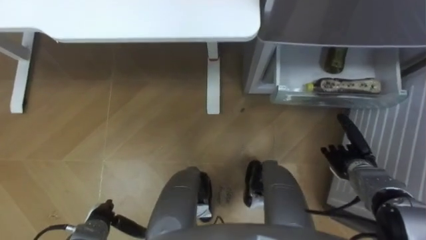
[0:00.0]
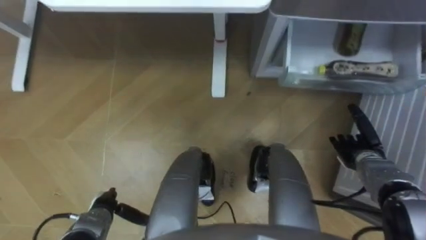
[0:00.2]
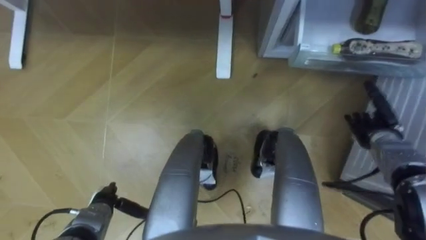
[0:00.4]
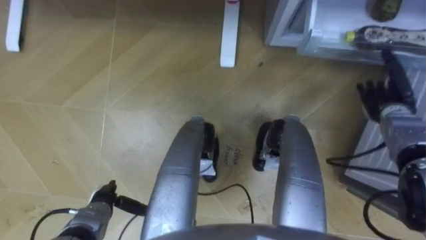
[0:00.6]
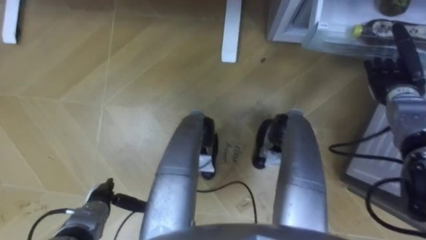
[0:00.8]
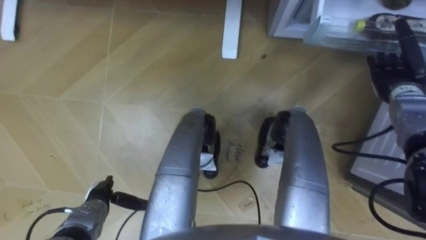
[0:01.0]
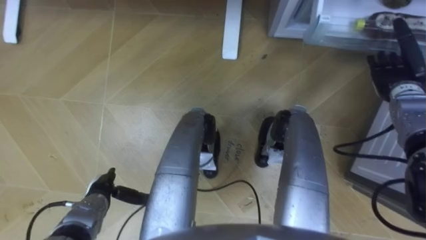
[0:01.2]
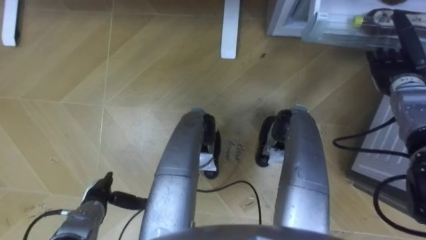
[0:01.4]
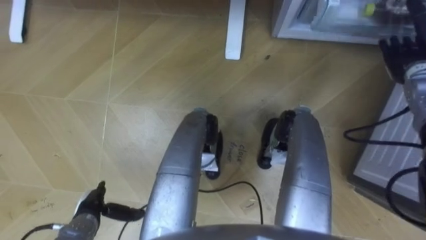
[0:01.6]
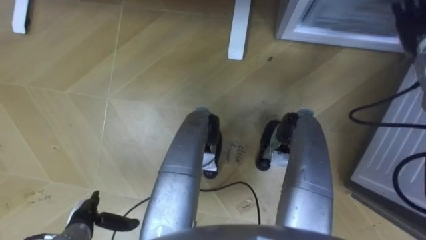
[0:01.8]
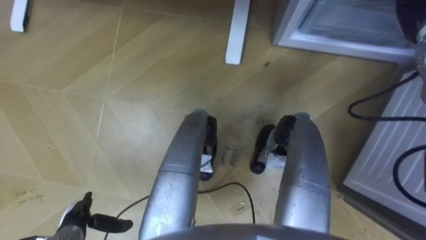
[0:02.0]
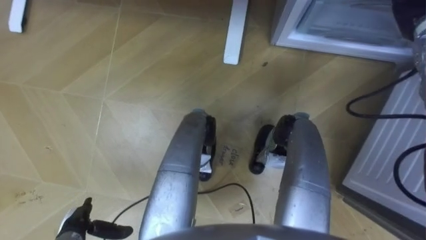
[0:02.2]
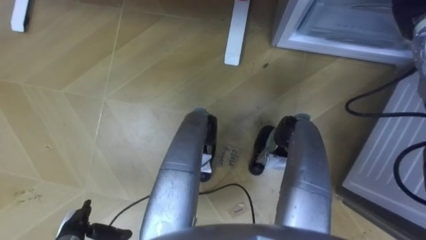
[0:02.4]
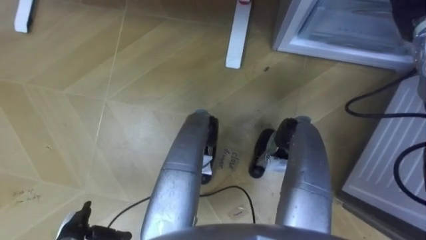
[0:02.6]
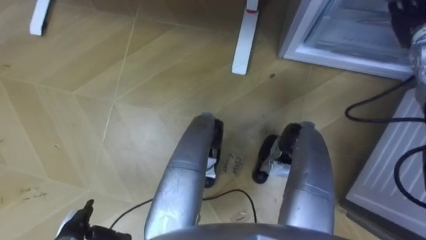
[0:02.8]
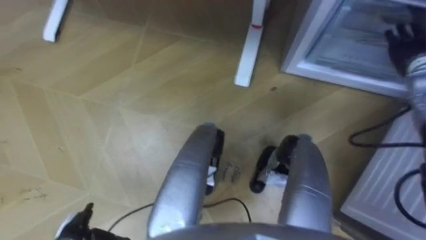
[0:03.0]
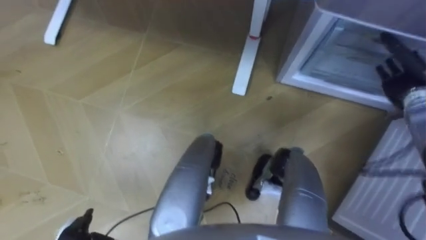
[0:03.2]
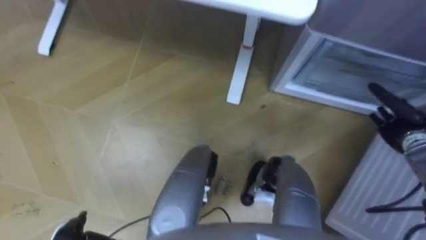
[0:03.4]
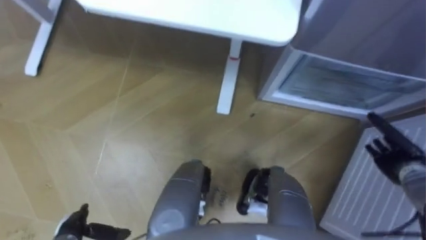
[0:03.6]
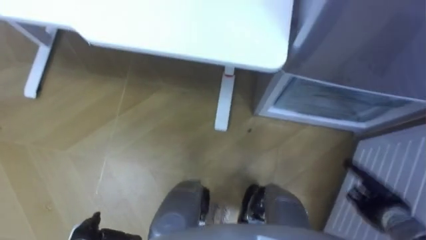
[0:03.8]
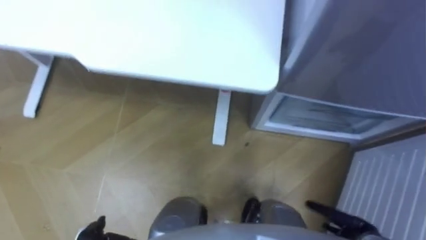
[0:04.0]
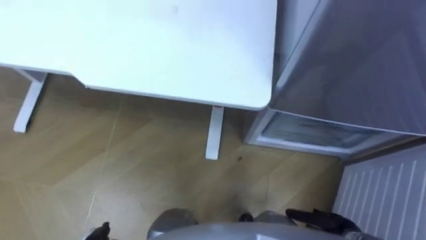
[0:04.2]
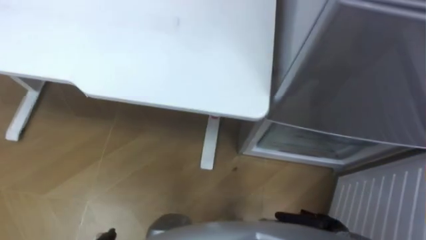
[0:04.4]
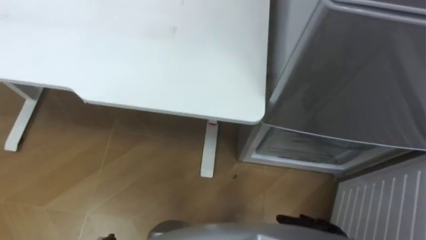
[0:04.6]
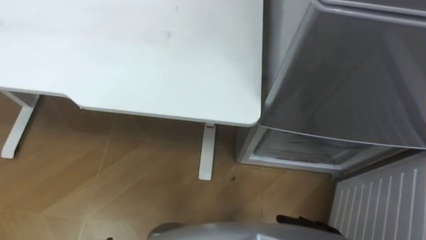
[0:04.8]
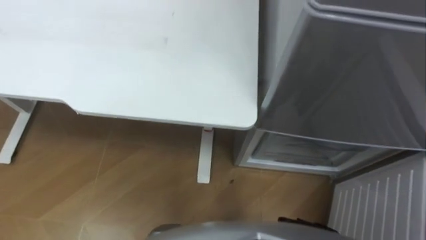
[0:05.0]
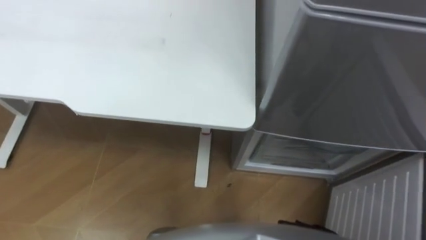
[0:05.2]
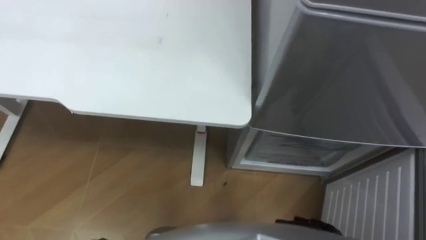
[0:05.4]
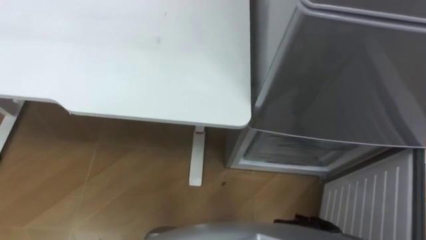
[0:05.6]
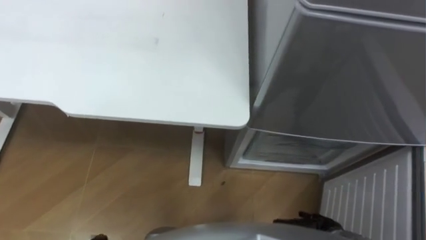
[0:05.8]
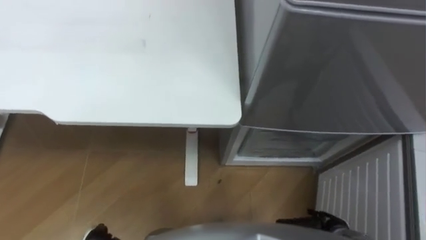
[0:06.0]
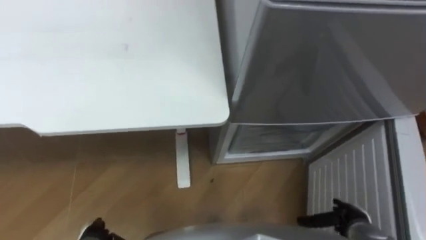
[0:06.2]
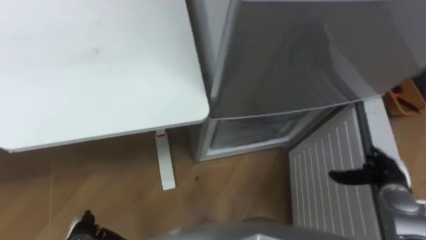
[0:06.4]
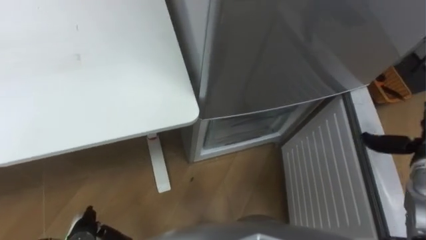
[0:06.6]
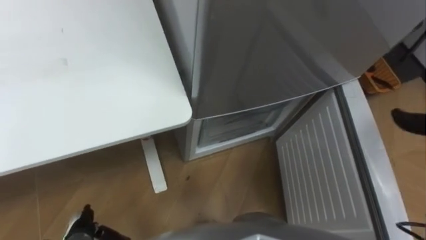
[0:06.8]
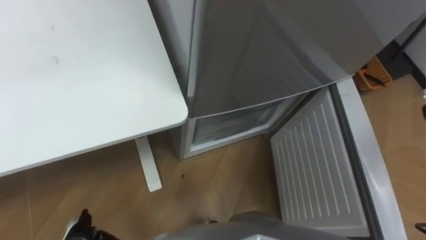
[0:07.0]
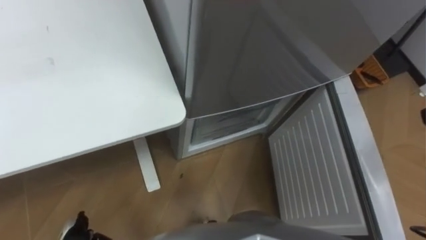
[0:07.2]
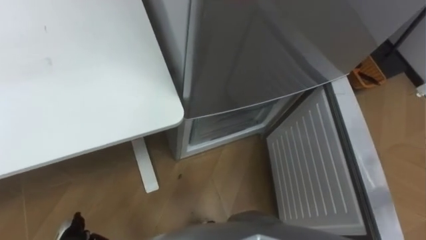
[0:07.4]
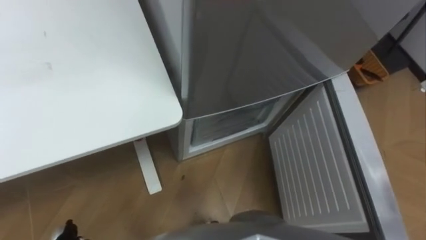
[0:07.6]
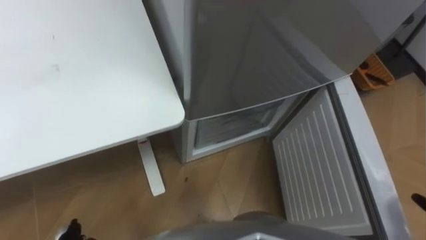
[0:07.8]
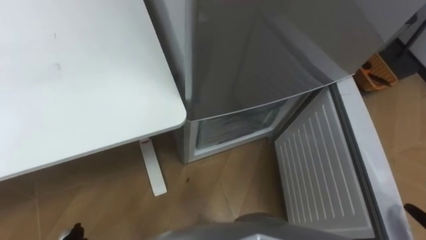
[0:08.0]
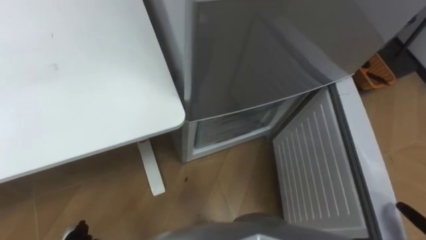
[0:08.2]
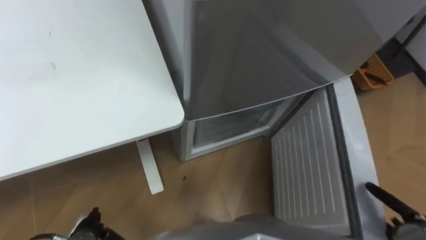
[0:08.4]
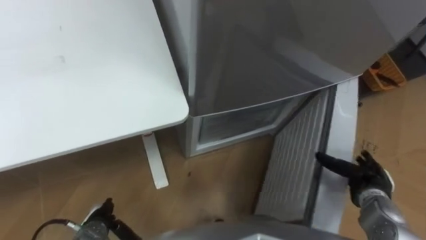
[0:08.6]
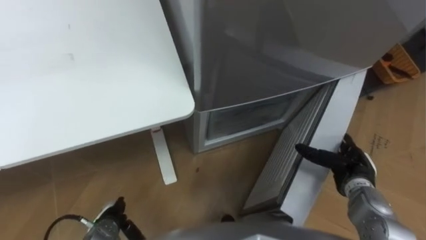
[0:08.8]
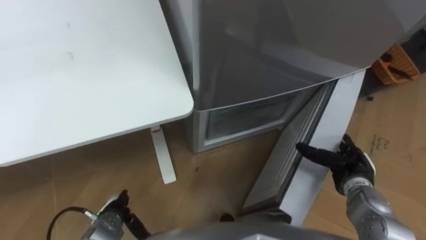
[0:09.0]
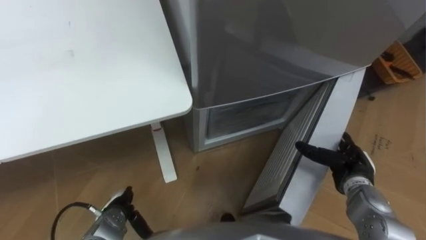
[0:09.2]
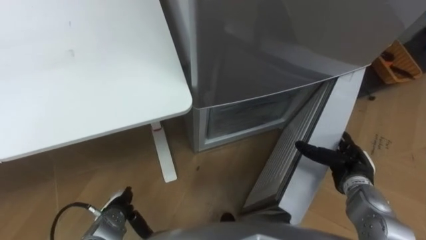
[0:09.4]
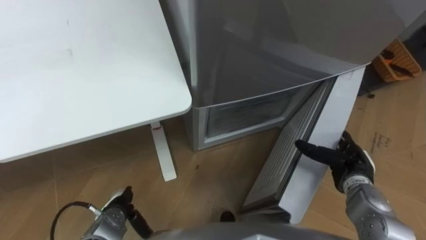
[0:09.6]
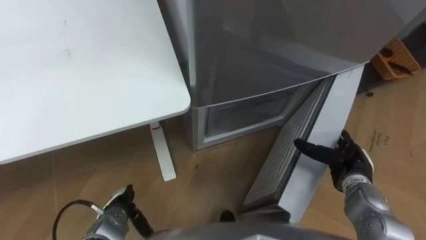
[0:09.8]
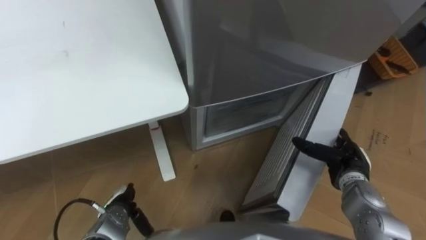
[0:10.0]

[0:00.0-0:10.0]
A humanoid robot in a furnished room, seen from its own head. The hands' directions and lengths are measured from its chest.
Task of the whole recording: Place the drink on the table on the bottom shelf of the refrigerator, then close the drawer and the refrigerator door.
0.0 to 1.4 s: The right hand is displaced upward and forward by approximately 20 cm; the left hand travels forward by approximately 5 cm.
1.4 to 2.8 s: The right hand is displaced upward by roughly 10 cm. Meanwhile the left hand shifts approximately 10 cm backward.
2.8 to 4.2 s: The right hand is displaced backward and downward by roughly 40 cm.
8.6 to 10.0 s: The right hand shifts about 5 cm to the left; the left hand ends up approximately 5 cm from where it was.

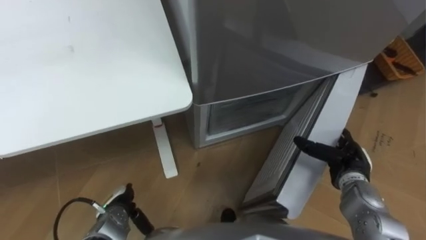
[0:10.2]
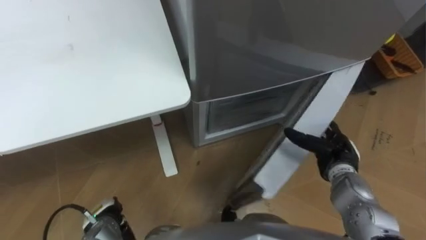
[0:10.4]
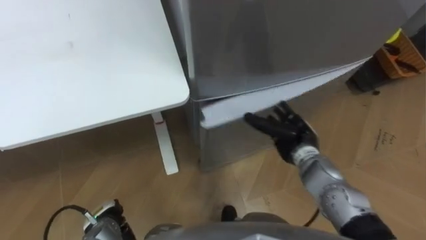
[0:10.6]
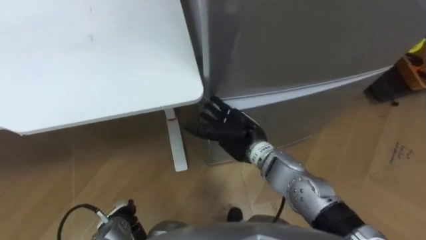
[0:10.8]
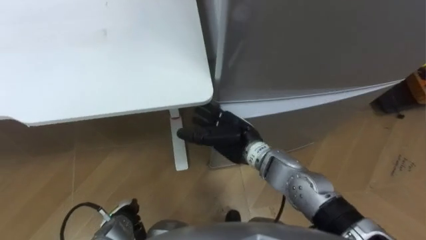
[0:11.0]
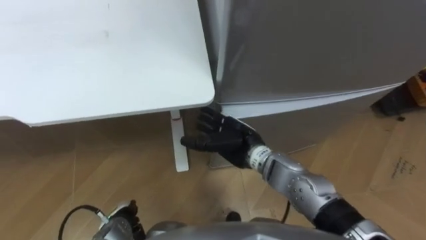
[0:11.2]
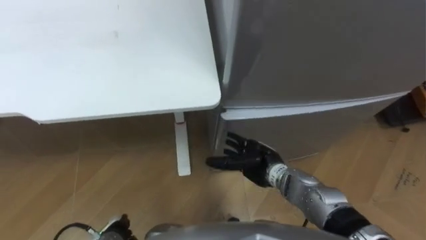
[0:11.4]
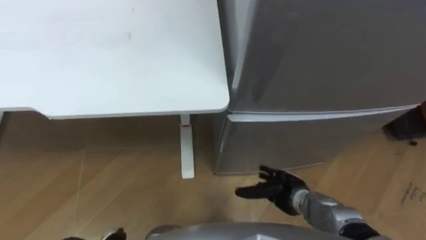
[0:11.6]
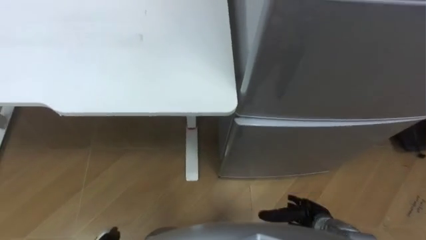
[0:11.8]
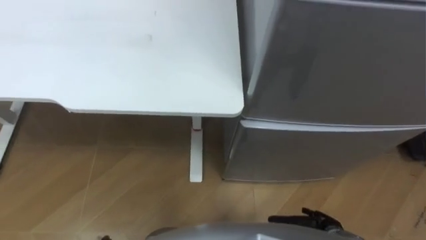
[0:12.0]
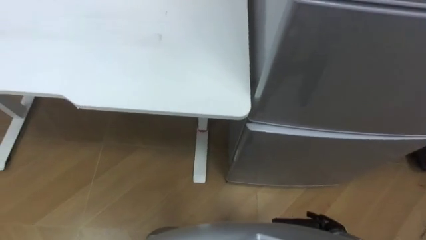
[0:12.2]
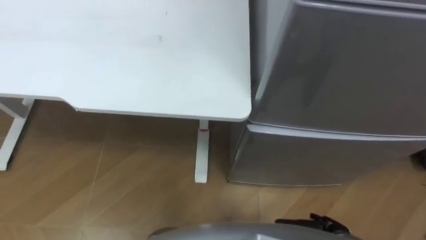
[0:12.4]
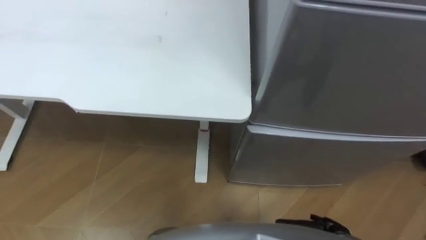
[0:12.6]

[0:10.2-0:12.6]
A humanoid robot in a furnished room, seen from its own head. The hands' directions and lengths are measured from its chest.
Task of the whole recording: Place the drink on the table on the bottom shelf of the refrigerator, then close the drawer and the refrigerator door.
10.2 to 11.4 s: The right hand goes approximately 20 cm to the left. The left hand travels backward by approximately 5 cm.
11.4 to 12.6 s: The right hand travels to the right, backward and downward by some 25 cm.

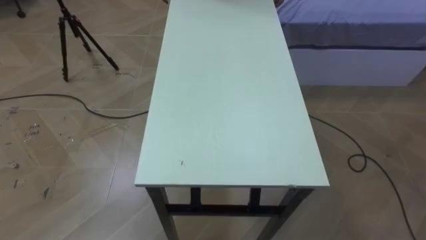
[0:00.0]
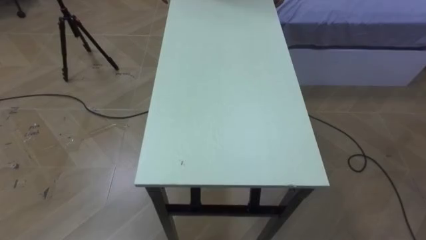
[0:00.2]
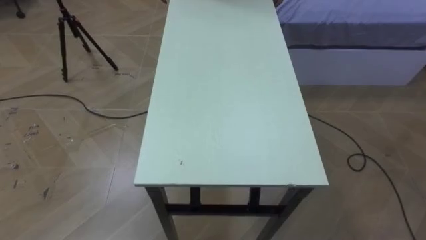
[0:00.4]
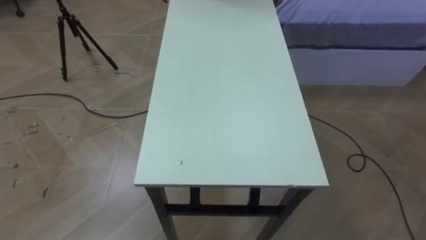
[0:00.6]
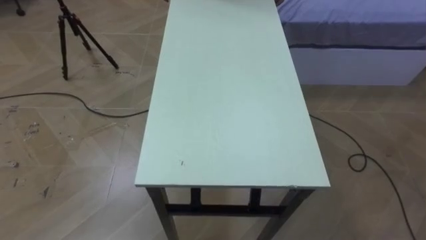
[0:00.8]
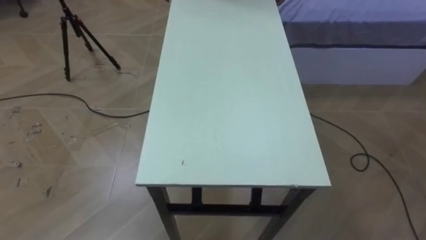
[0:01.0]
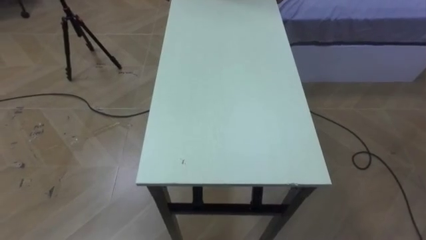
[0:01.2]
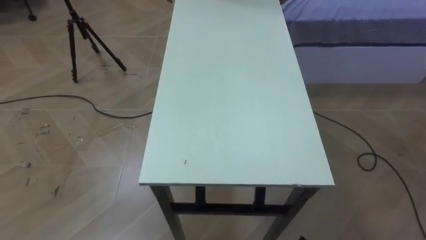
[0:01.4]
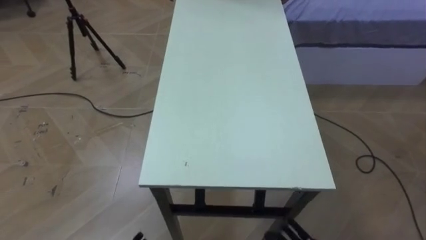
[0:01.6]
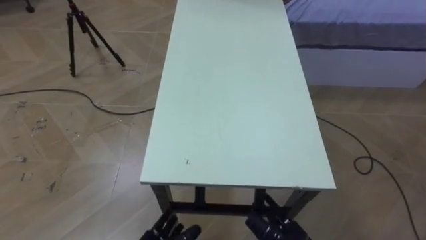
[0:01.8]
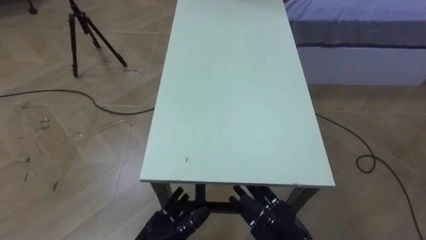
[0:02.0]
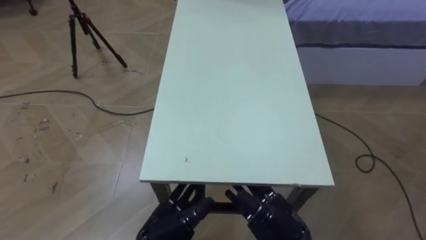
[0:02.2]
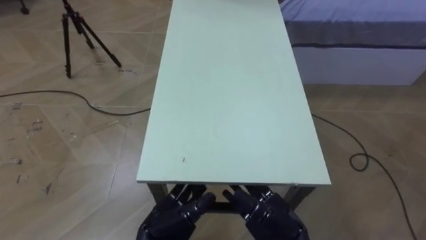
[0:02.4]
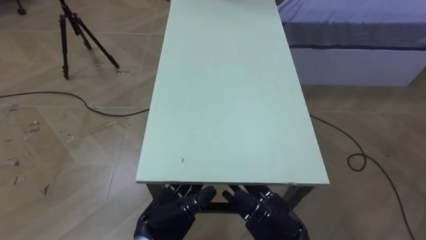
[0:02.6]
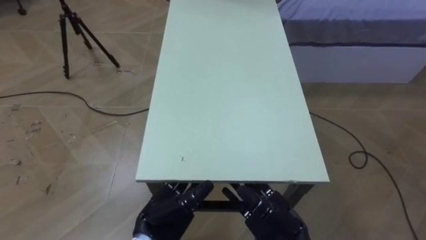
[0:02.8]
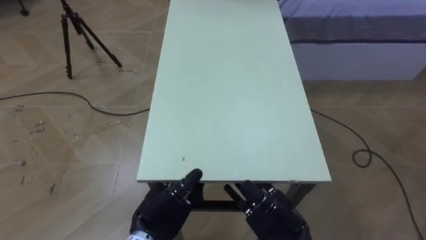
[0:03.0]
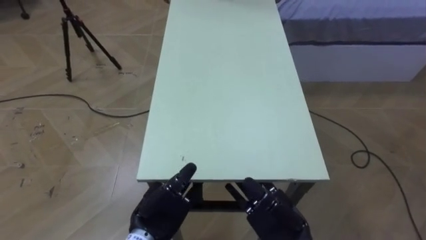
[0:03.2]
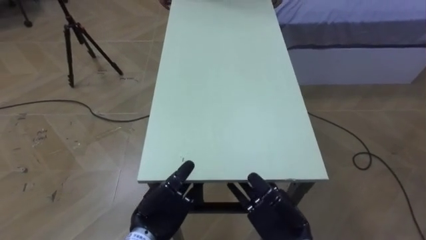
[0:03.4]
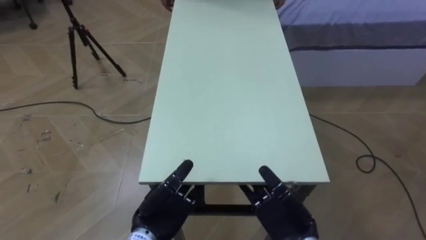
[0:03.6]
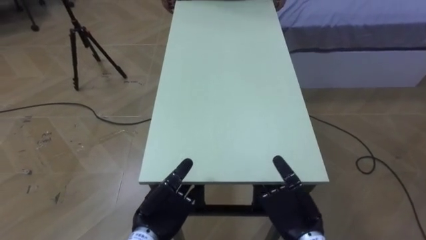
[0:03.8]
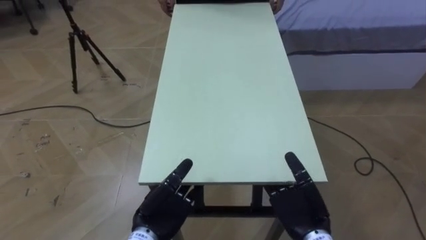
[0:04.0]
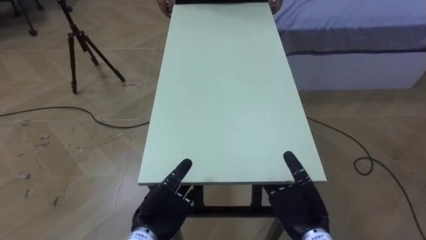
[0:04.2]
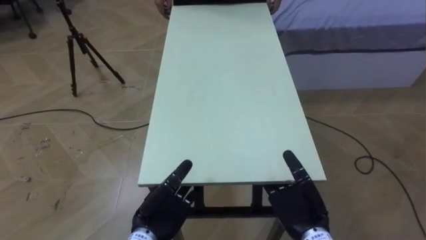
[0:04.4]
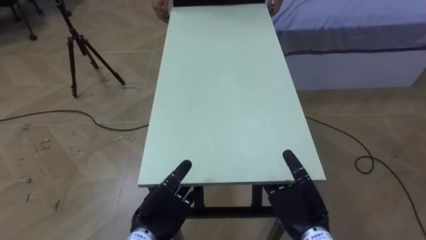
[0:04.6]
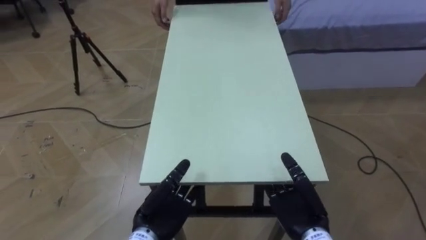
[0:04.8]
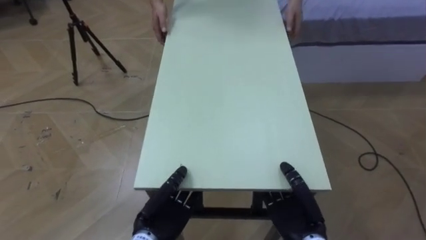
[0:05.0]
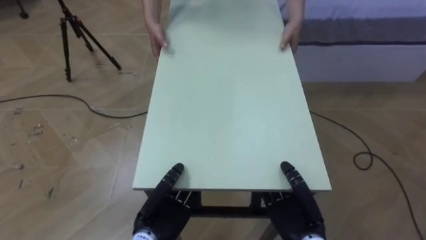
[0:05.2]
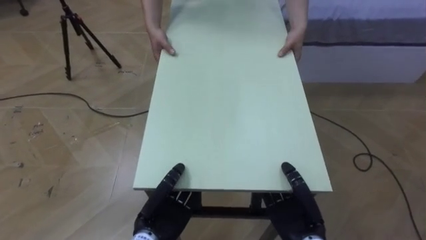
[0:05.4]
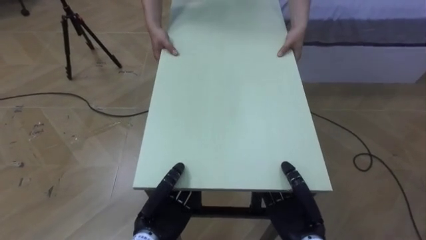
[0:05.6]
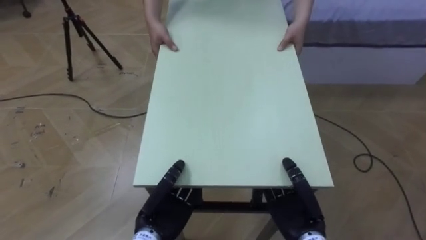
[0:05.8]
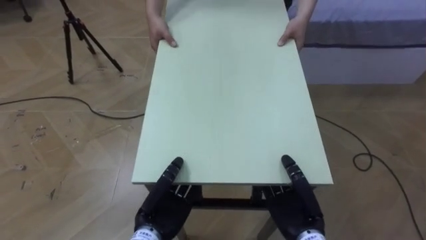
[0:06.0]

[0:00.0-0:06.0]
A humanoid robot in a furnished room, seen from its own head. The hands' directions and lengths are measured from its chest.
Task of the whole recording: Move the table to the back left with someone.
3.0 to 4.4 s: The right hand shifts by about 5 cm.
4.4 to 6.0 s: The right hand closes; the left hand closes its fingers.
